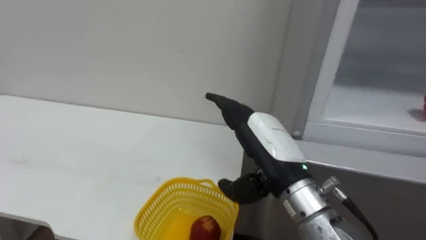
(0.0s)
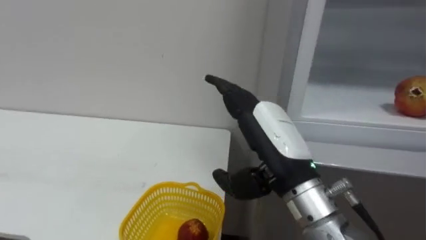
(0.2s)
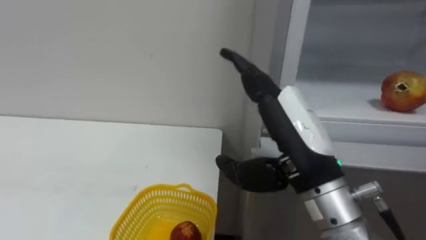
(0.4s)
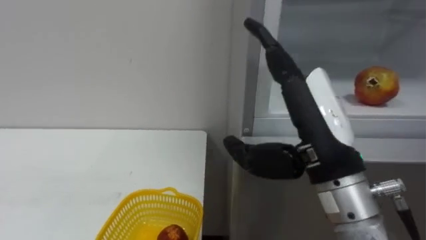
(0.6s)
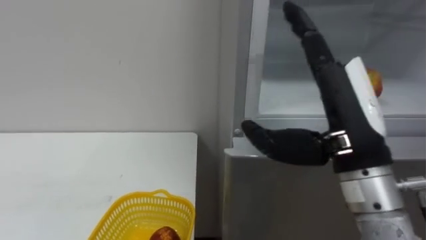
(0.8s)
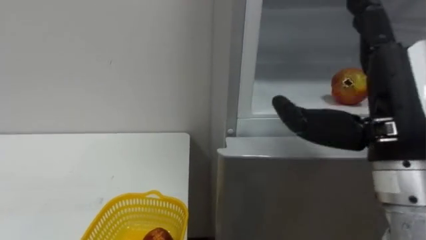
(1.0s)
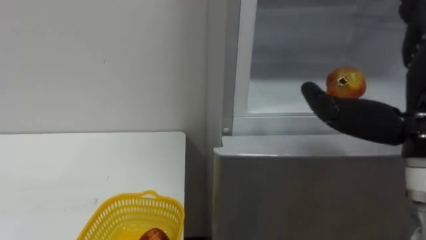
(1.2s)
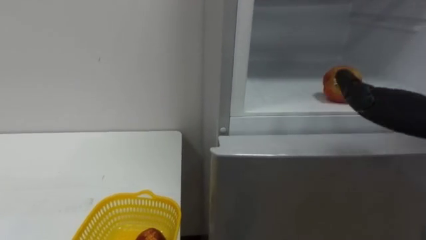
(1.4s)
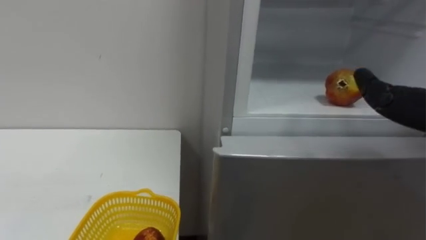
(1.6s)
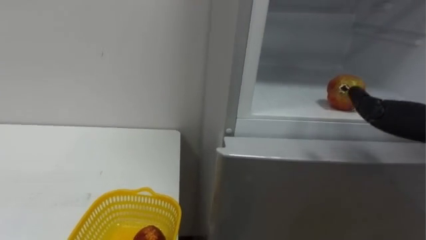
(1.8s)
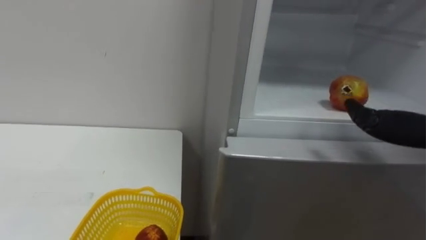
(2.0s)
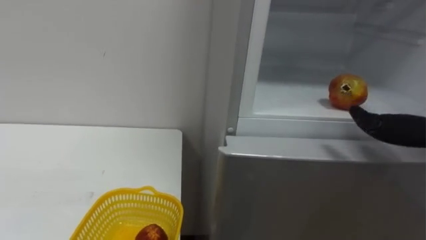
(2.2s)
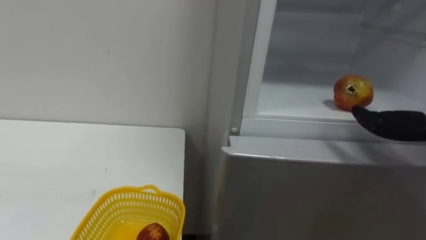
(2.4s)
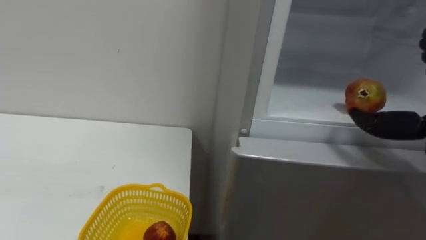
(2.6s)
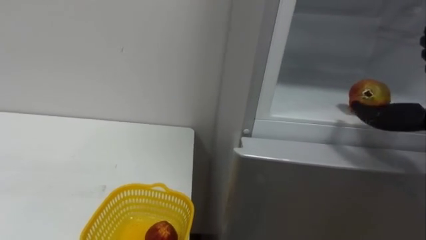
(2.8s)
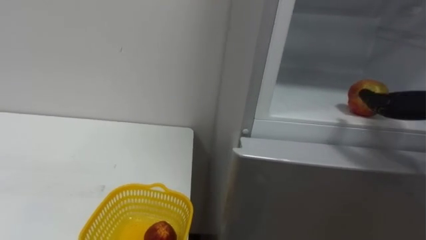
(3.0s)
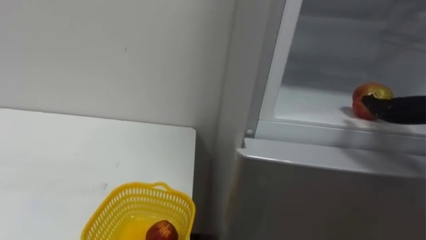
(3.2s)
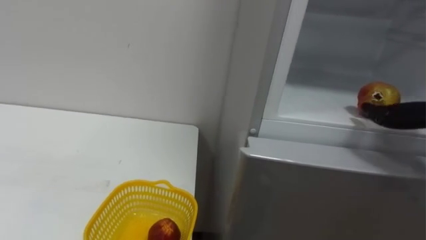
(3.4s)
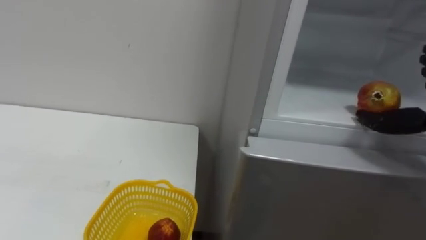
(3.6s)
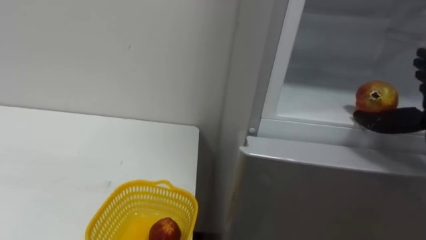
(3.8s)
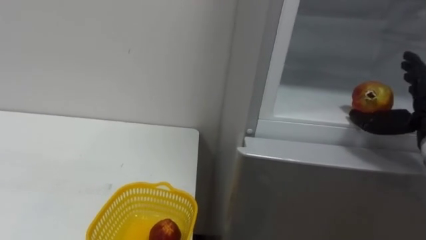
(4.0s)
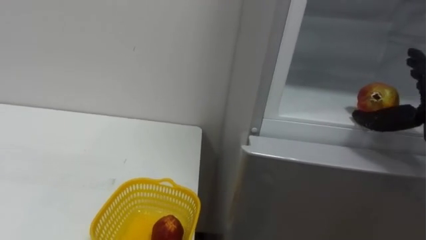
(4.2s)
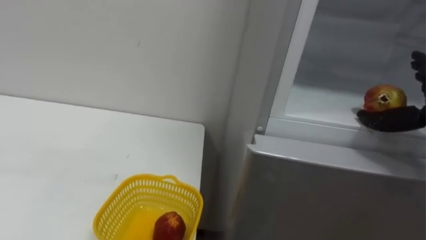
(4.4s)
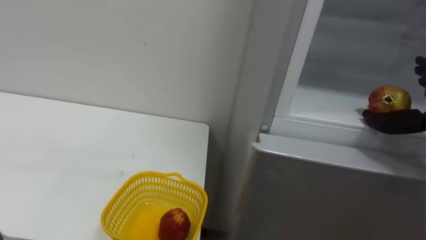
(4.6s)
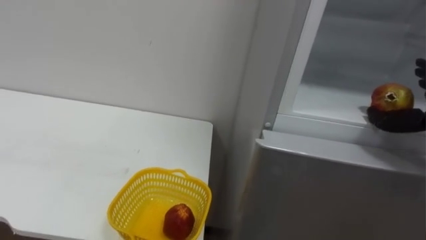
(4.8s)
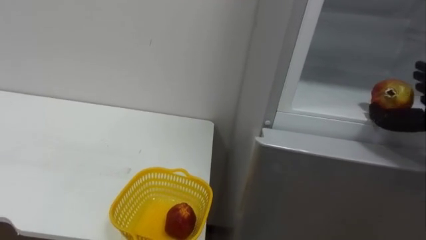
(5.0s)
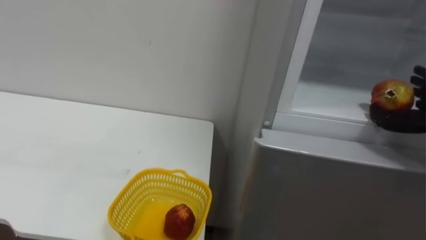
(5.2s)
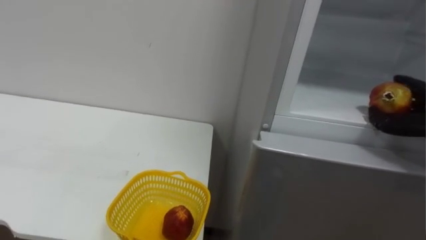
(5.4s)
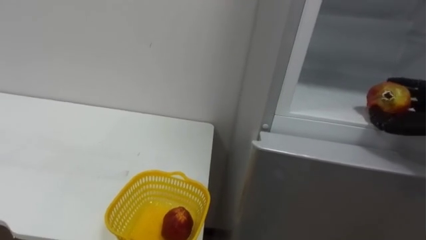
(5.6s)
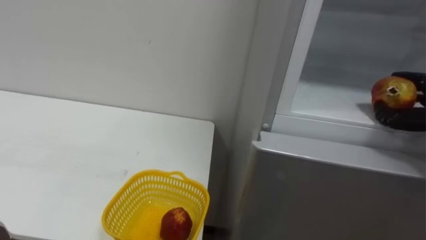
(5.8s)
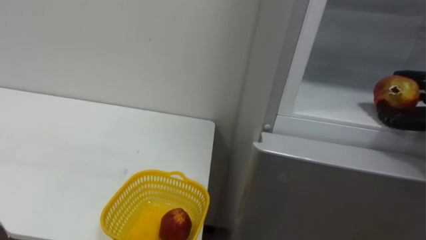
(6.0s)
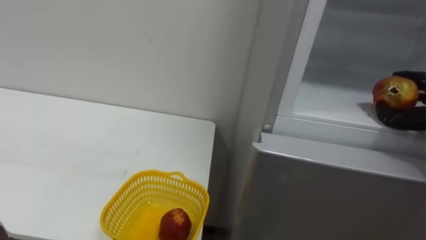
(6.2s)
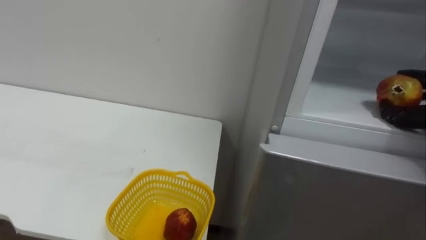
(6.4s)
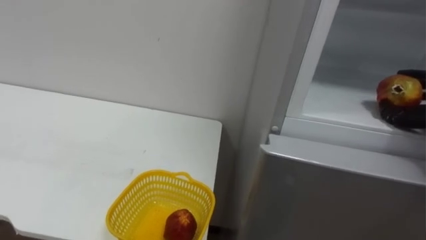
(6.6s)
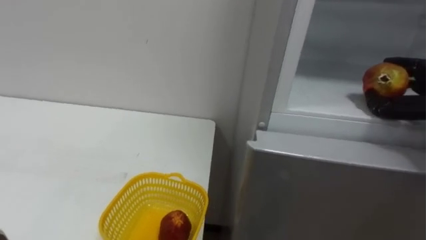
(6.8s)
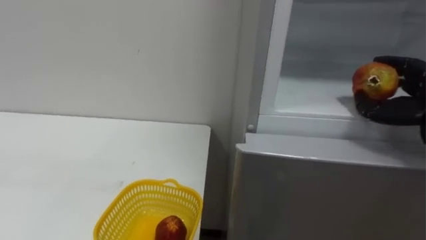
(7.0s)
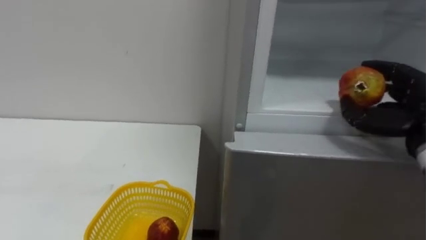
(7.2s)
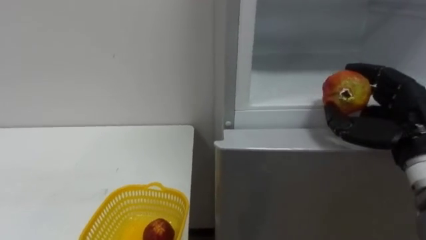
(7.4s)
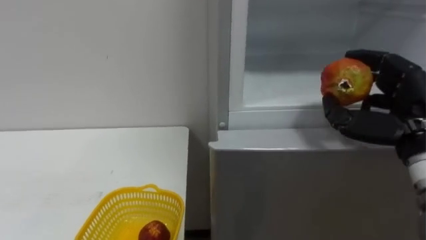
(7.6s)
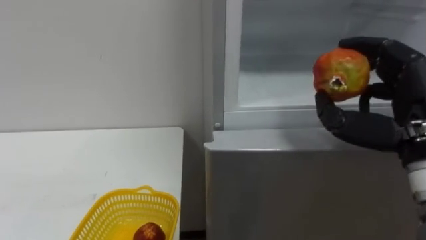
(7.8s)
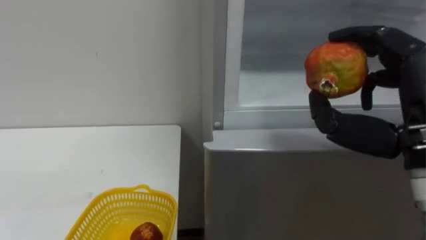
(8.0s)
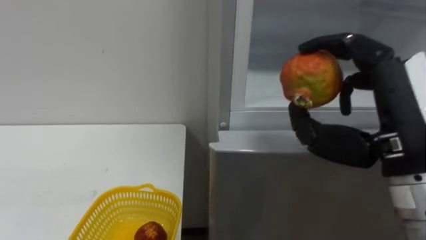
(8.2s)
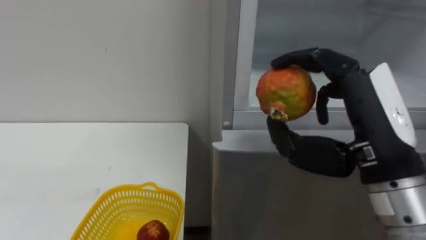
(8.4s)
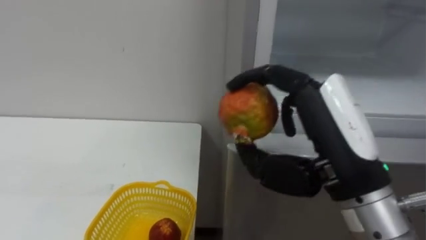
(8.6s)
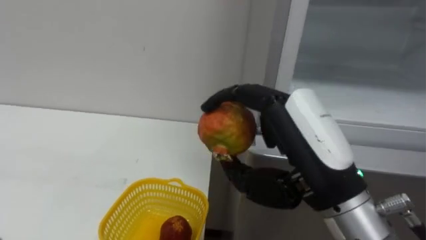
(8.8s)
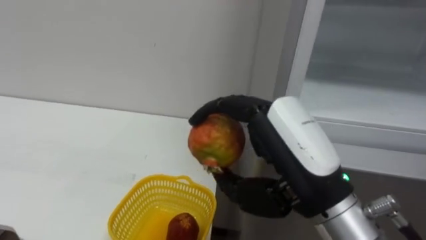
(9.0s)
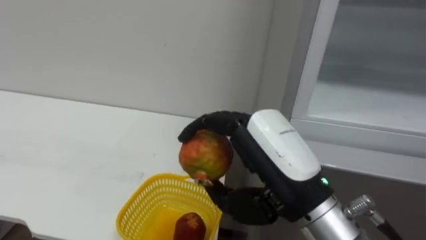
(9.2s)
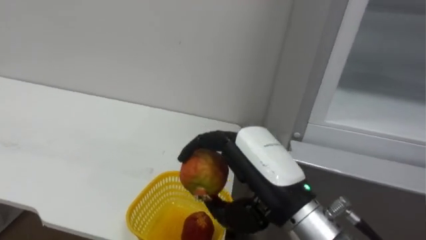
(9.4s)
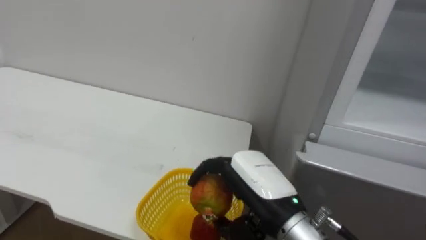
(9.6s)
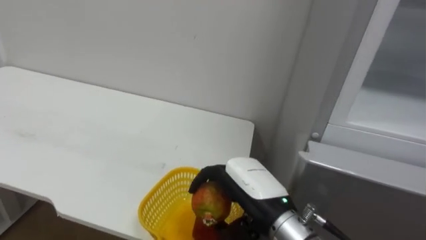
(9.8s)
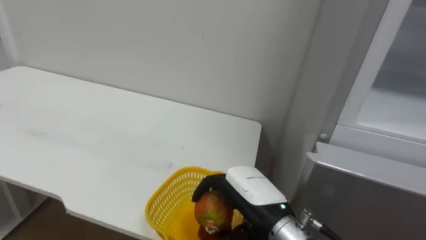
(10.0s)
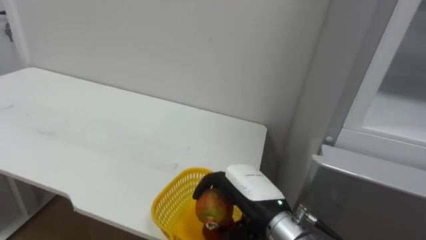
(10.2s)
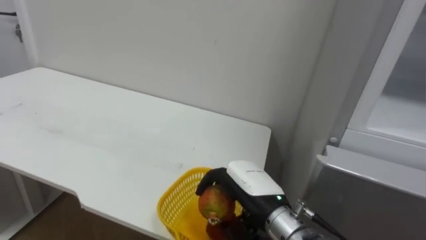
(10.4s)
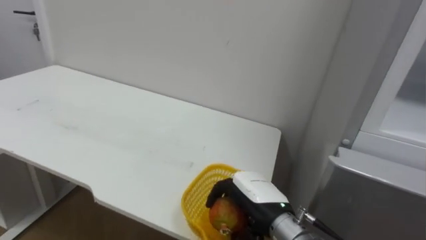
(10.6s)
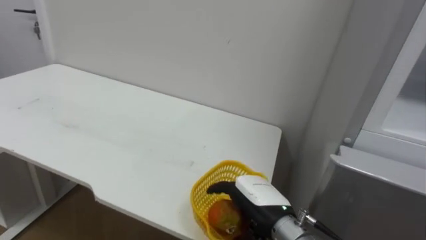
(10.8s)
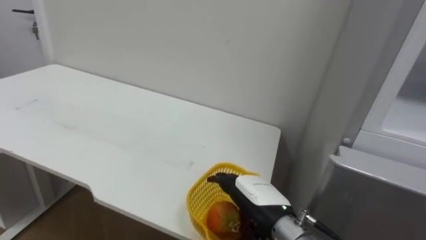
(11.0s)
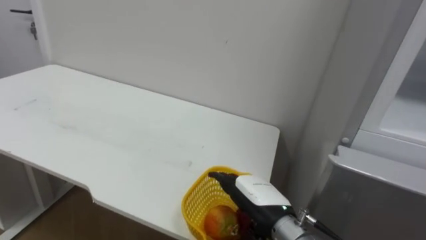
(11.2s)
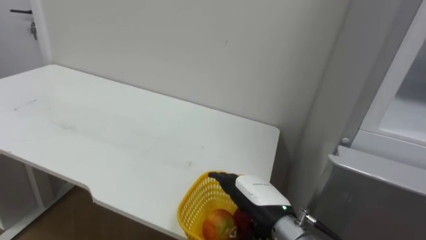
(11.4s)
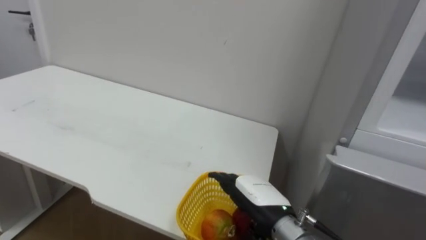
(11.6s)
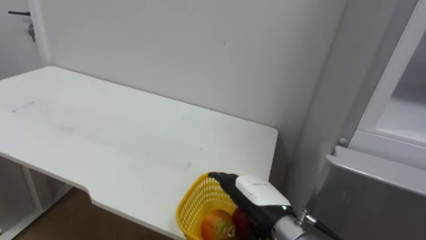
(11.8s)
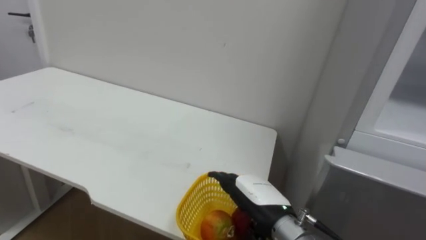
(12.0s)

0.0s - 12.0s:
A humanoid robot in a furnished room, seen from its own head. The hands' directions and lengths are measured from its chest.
Task of the whole recording: Open the refrigerator door, take out the apple and the pomegranate, place them in the fruit basket on the left, and close the refrigerator door.
7.6s - 9.0s: The right hand heads to the left and backward, covering approximately 20 cm.
9.0s - 10.4s: The right hand shifts about 15 cm downward and forward.
10.4s - 12.0s: The right hand opens up.

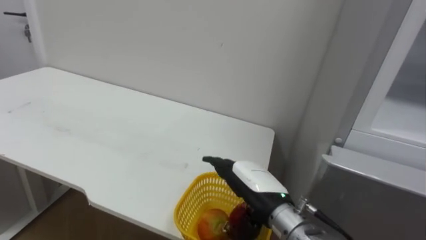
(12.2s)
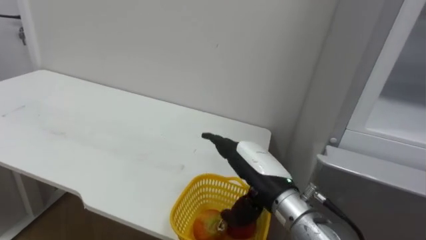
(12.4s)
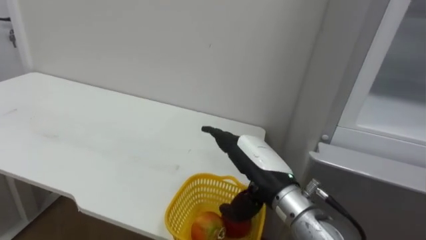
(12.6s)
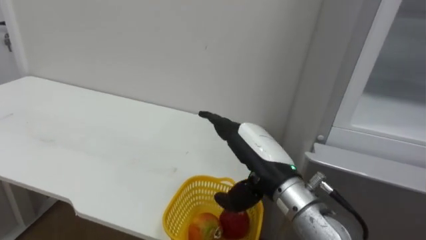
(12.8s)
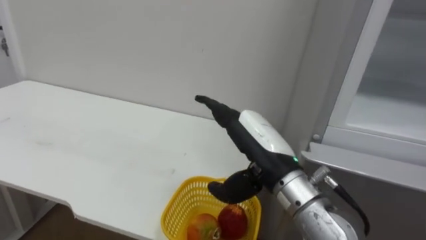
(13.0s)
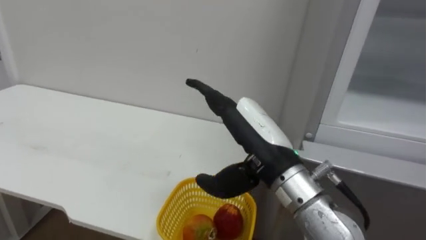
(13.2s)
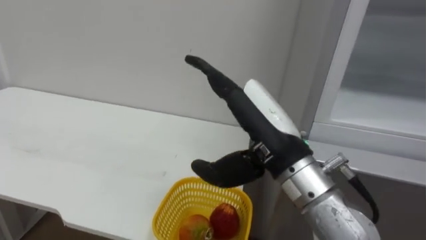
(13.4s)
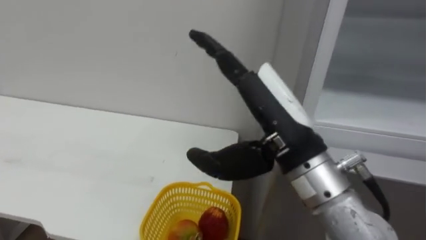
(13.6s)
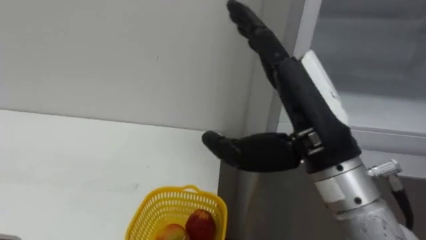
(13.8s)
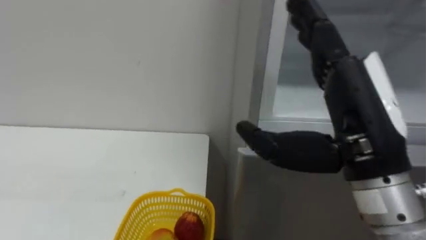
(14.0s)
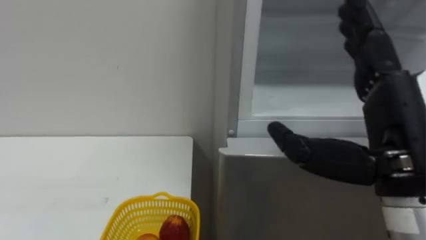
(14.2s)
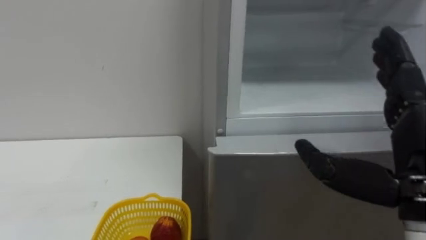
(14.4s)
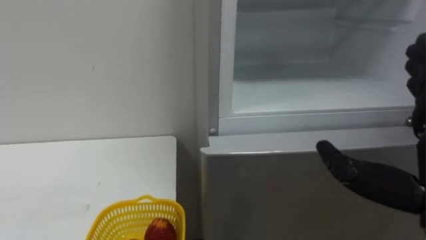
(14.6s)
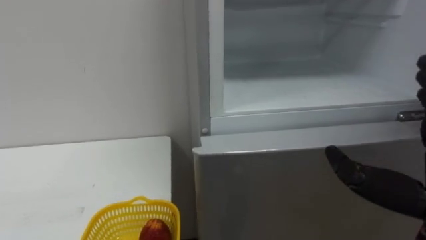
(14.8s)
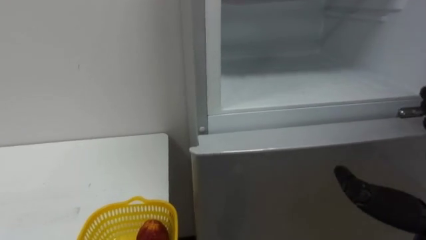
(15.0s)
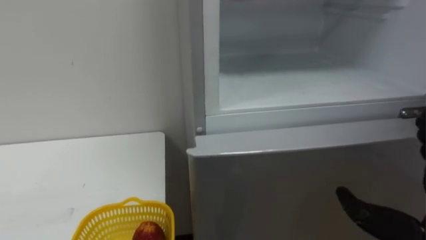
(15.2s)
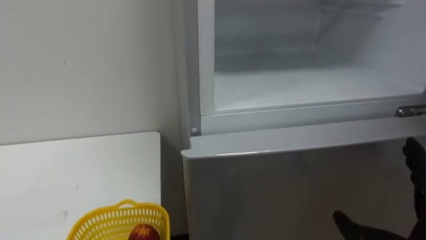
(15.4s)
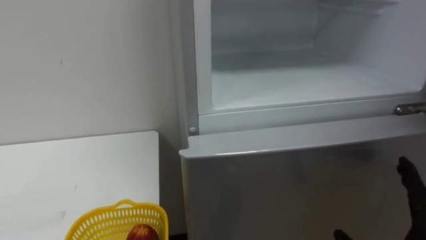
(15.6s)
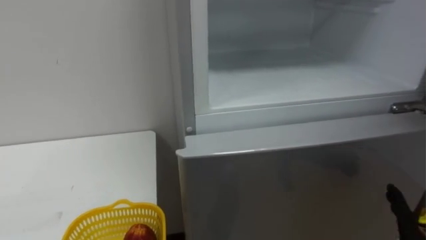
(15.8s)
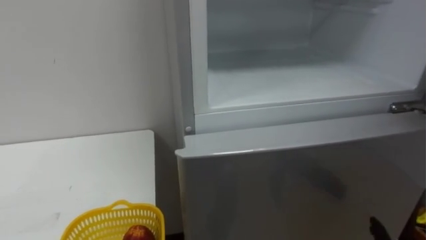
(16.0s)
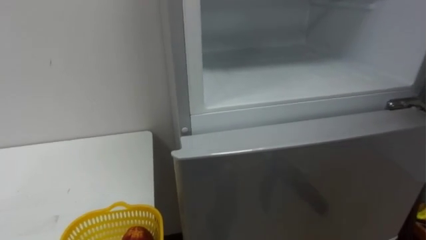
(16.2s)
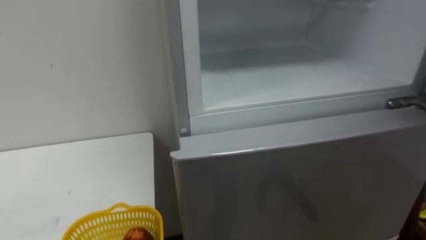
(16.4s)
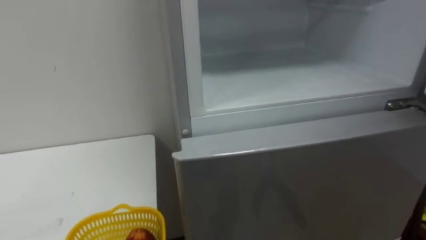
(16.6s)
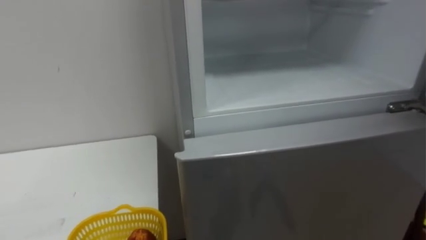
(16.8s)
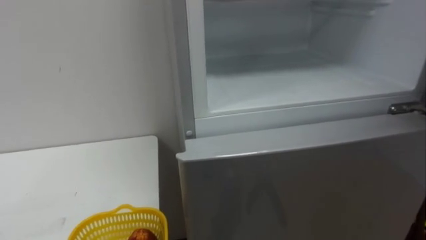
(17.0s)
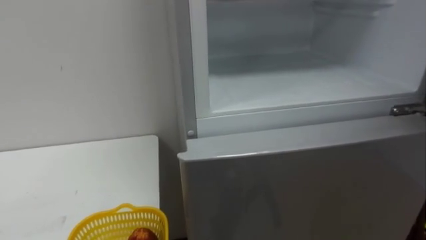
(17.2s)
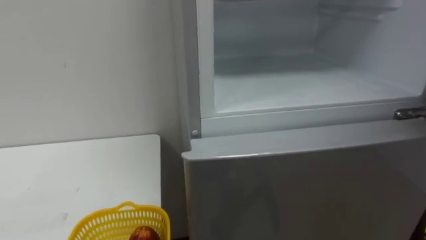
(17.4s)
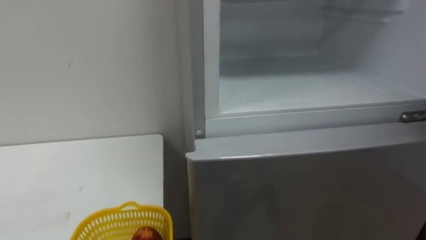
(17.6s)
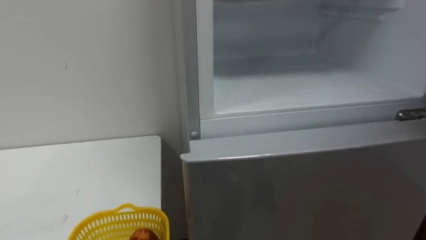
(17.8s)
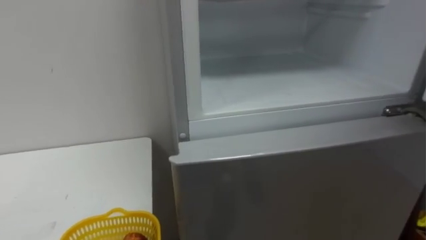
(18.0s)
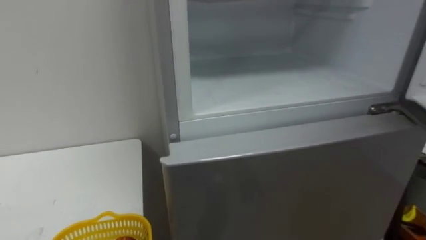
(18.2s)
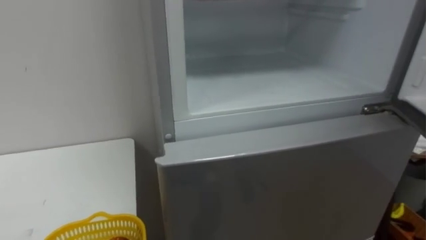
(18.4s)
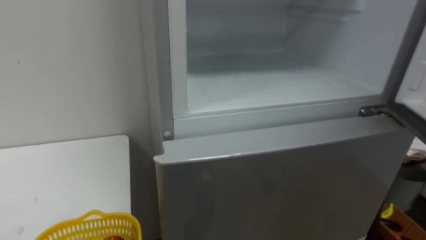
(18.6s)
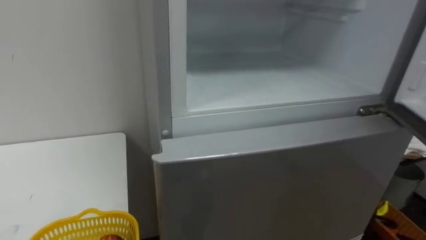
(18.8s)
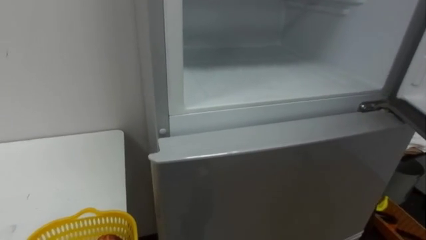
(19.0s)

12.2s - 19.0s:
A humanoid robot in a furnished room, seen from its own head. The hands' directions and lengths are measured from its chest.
Task of the whole recording: Open the refrigerator door, take out the apple and the pomegranate, place them in the fruit basket on the left, and close the refrigerator door.
12.2s - 13.6s: The right hand goes about 20 cm upward.
